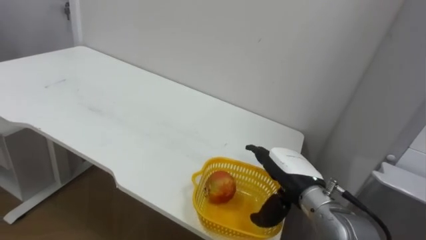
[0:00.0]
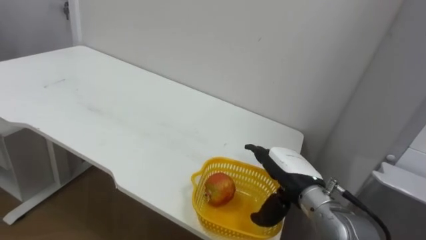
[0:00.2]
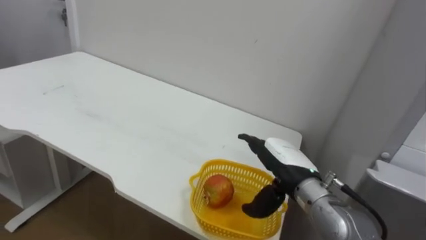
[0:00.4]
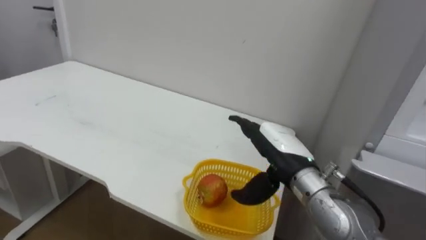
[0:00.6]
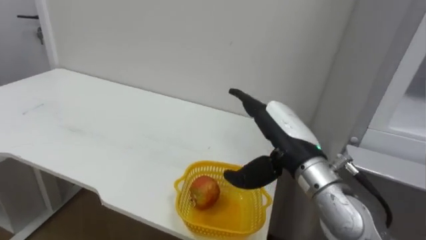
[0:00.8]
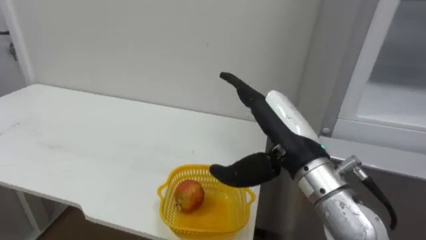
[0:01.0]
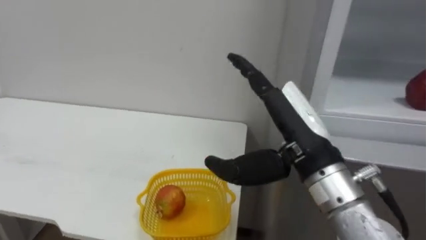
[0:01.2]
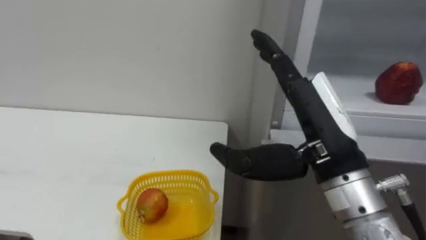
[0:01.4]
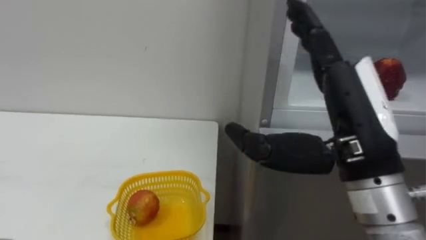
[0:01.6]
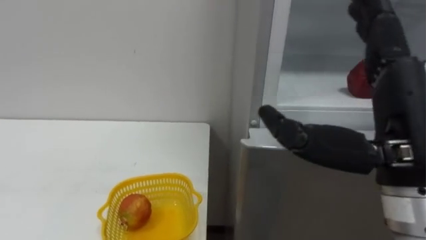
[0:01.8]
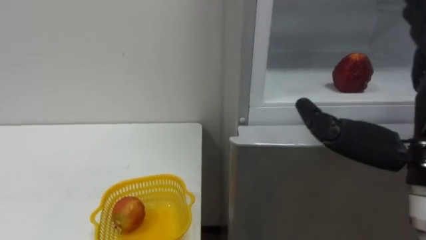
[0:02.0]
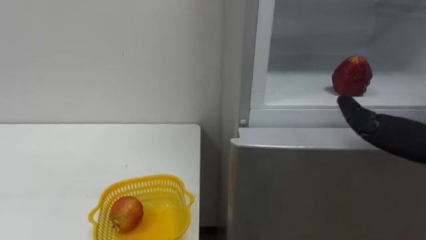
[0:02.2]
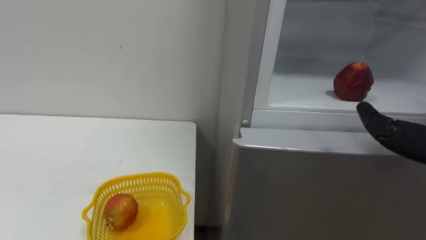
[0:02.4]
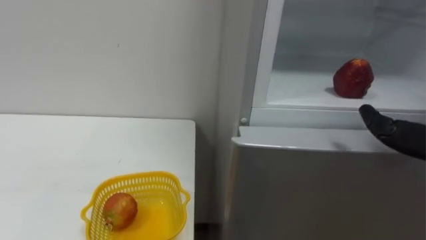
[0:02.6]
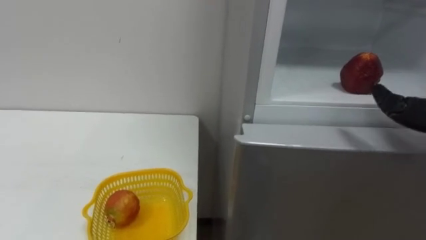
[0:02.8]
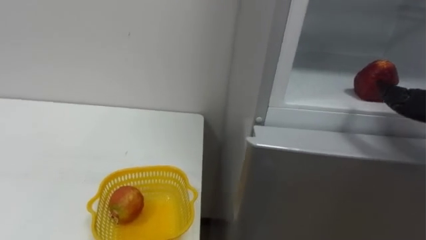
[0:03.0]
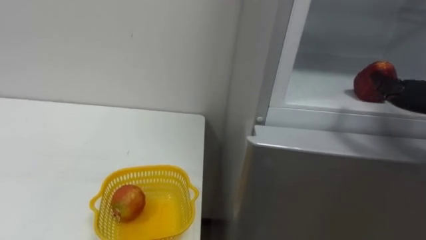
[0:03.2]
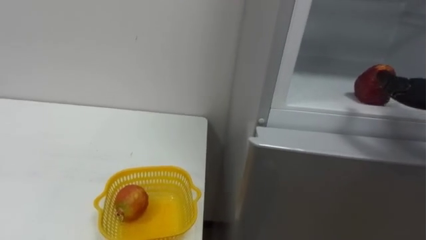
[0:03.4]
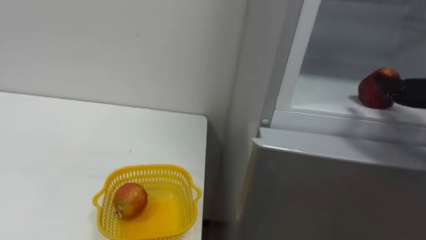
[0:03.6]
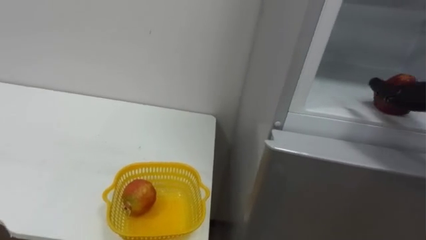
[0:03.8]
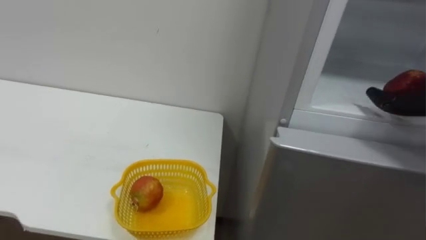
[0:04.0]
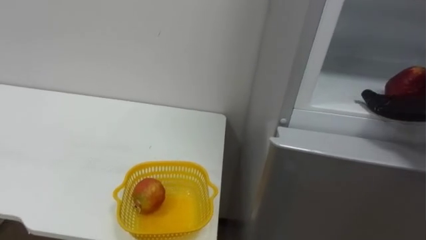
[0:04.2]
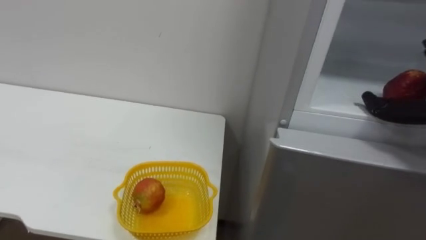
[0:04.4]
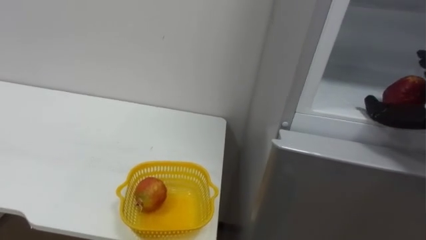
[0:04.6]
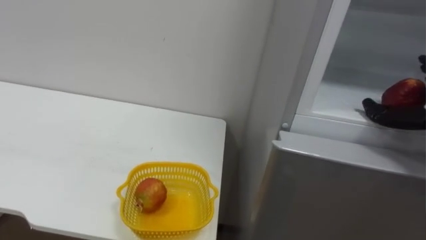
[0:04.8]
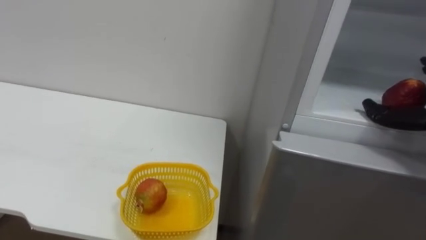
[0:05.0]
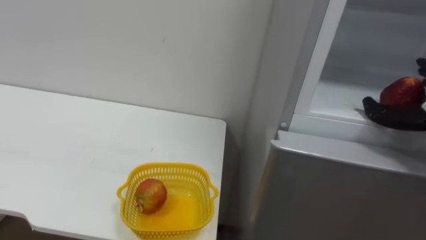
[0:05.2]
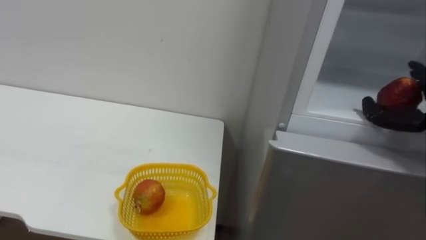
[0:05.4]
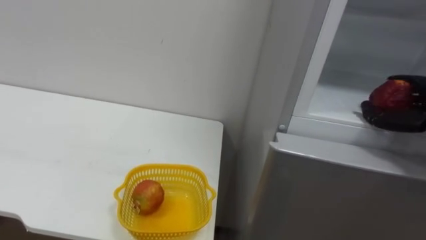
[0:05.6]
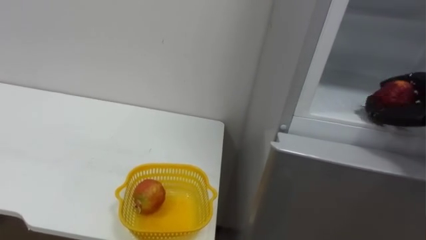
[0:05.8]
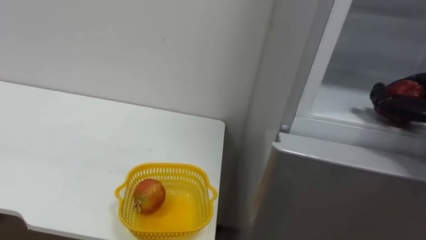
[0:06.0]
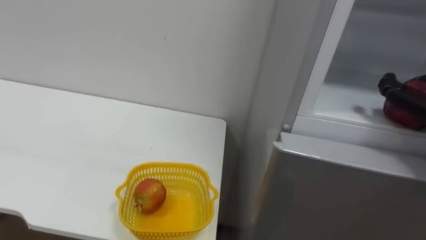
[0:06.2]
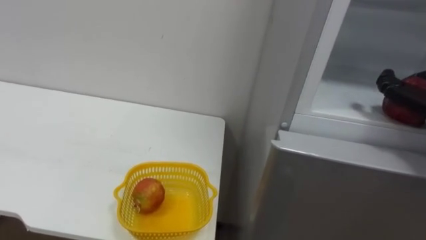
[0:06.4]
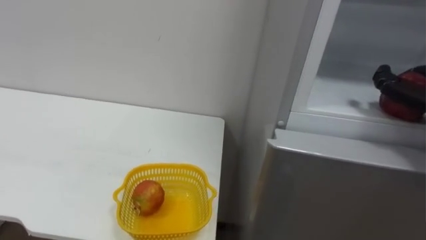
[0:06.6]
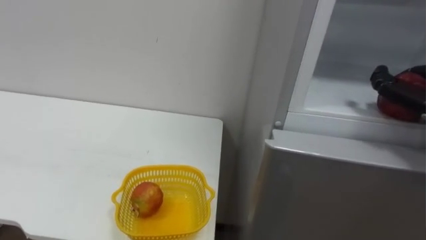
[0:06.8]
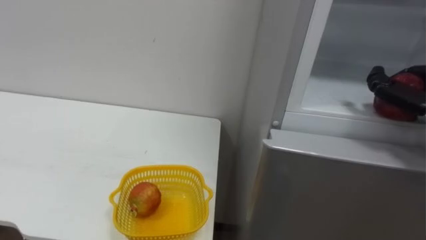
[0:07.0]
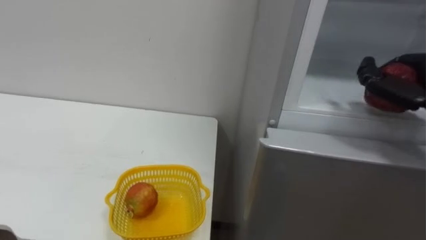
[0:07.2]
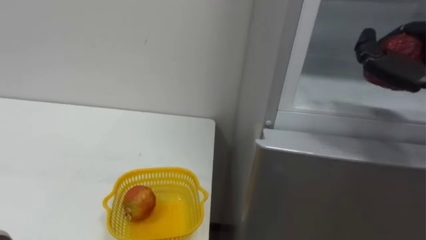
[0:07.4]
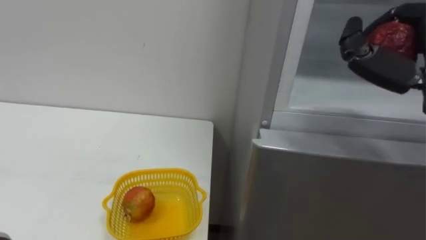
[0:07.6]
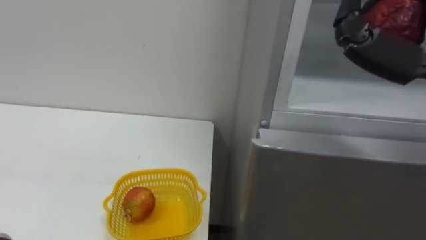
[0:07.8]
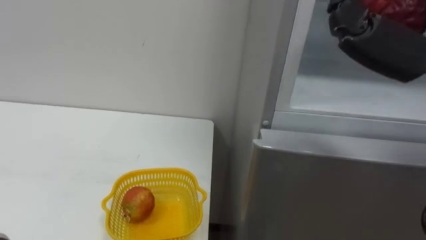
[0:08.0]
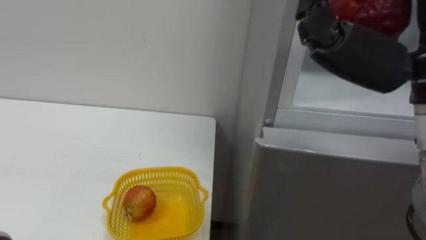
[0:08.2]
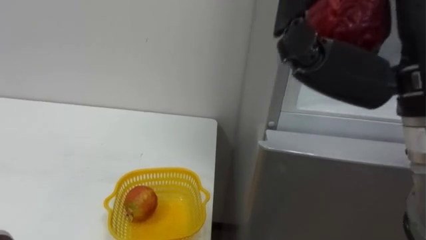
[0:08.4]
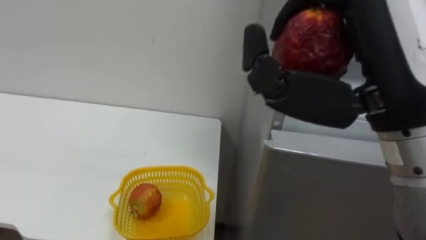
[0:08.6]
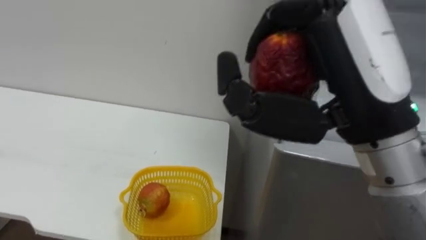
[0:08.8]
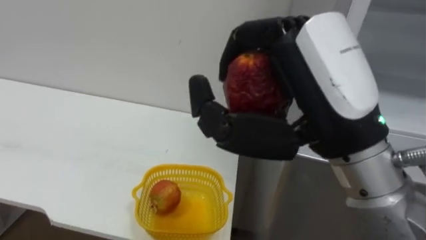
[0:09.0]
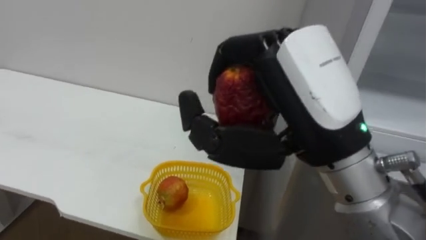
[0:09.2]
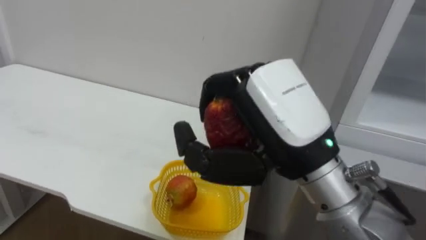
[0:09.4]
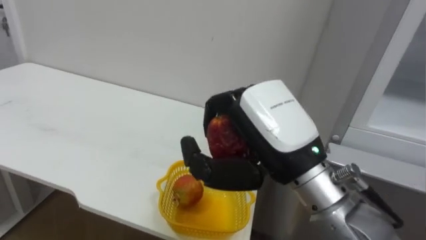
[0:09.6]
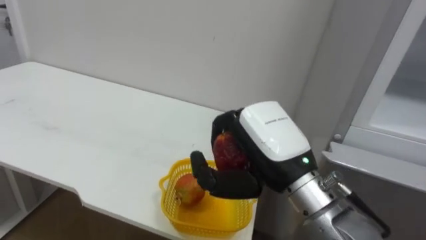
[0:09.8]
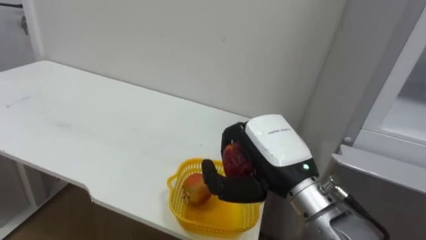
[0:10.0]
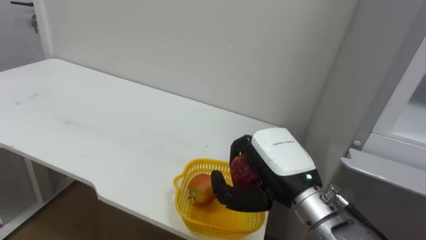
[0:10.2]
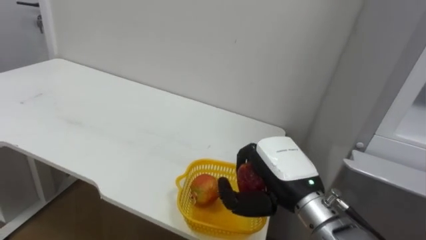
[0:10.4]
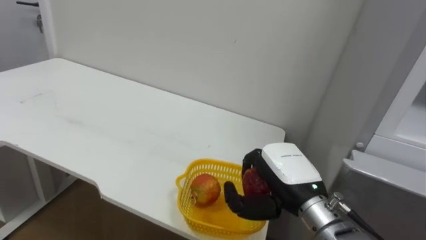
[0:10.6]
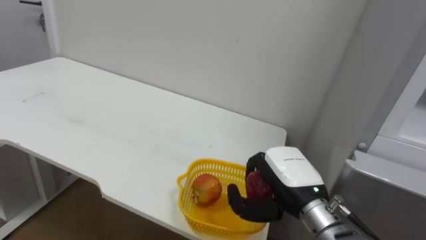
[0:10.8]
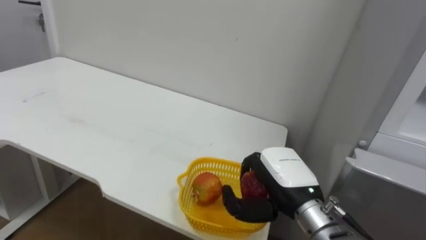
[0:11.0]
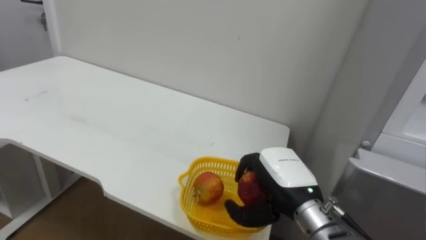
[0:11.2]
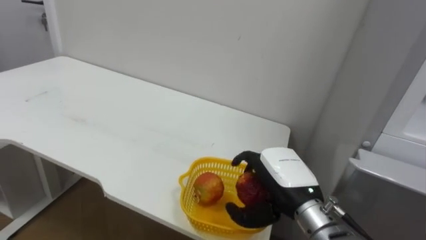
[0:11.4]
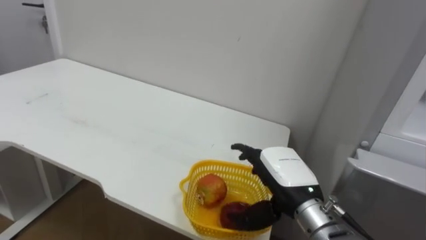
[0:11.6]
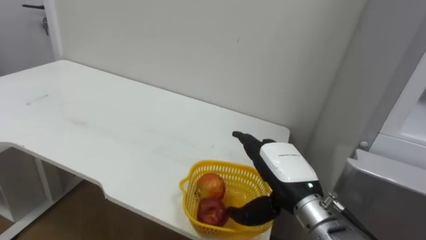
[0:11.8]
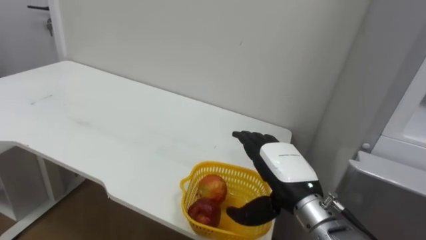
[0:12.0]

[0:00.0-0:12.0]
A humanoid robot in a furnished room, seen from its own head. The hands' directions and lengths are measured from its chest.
Task of the whole recording: Open the refrigerator door, take out the apple and the pomegranate, place them in the fruit basket on the left, and close the refrigerator door.
0:00.0 to 0:01.6: The right hand goes roughly 20 cm upward and backward.
0:09.0 to 0:10.4: The right hand heads downward and forward, covering about 20 cm.
0:10.4 to 0:12.0: The right hand opens its fingers.

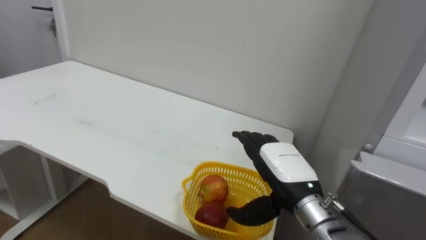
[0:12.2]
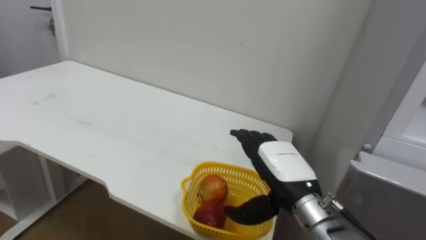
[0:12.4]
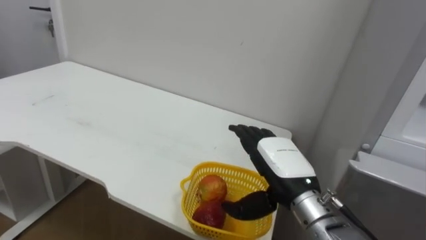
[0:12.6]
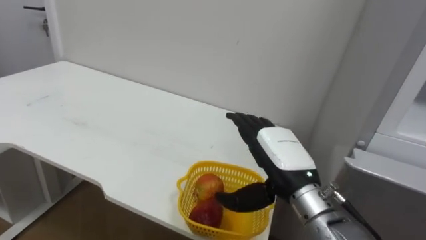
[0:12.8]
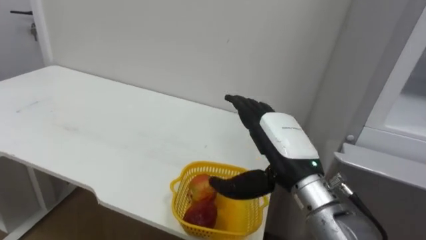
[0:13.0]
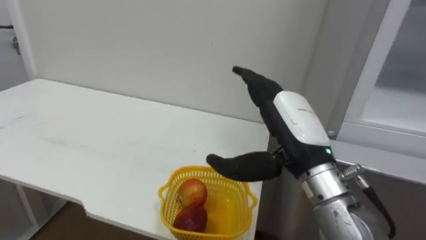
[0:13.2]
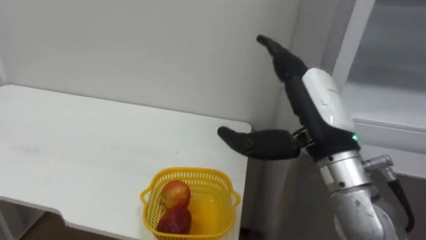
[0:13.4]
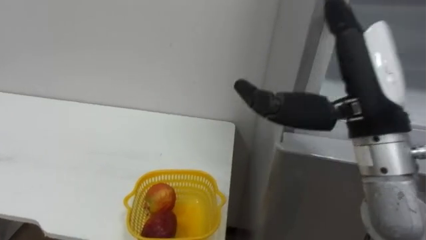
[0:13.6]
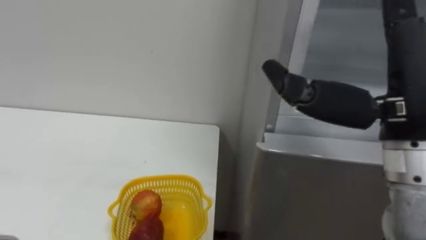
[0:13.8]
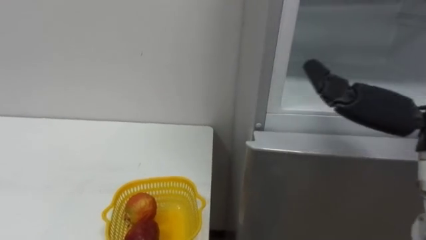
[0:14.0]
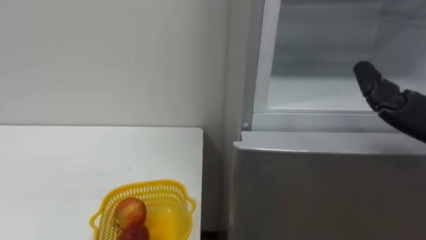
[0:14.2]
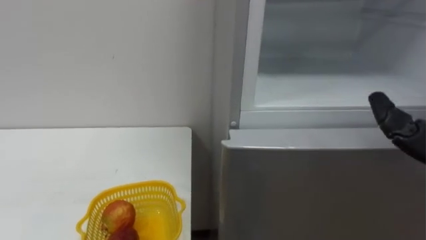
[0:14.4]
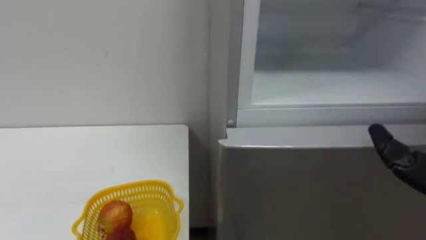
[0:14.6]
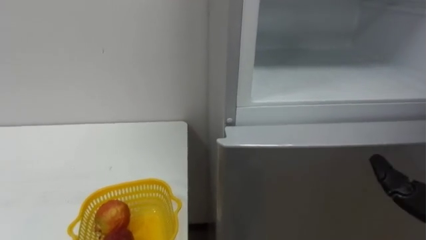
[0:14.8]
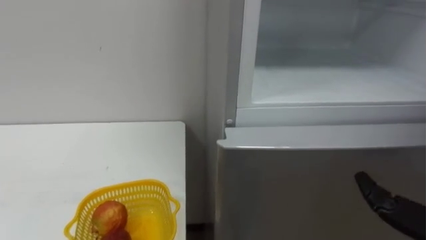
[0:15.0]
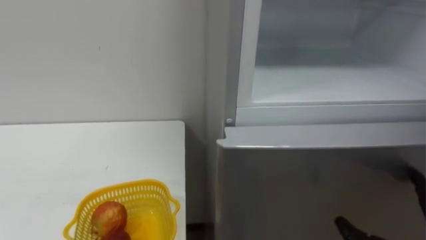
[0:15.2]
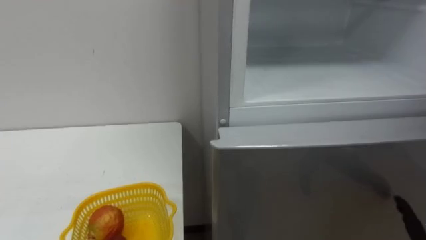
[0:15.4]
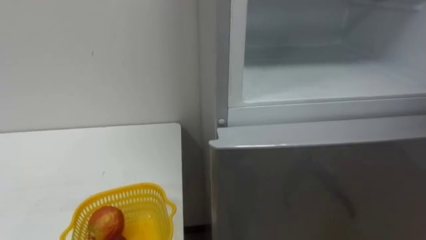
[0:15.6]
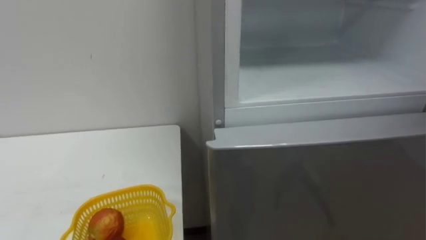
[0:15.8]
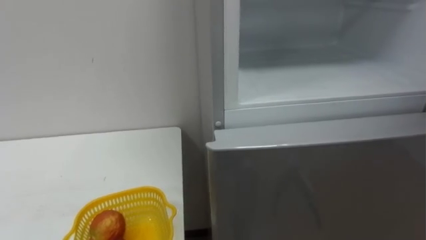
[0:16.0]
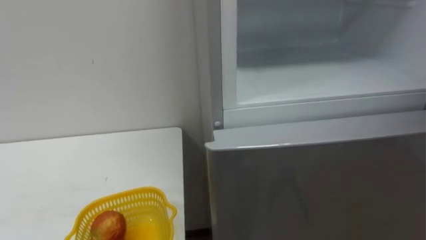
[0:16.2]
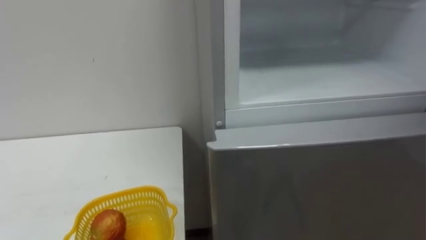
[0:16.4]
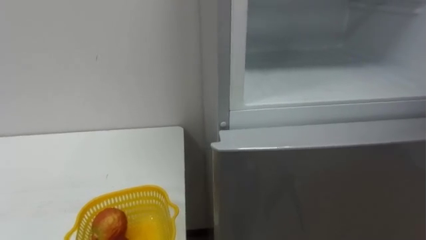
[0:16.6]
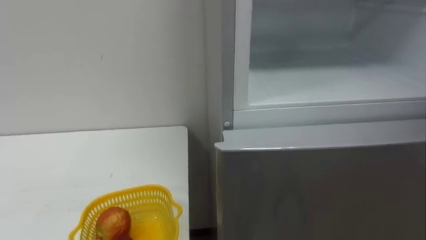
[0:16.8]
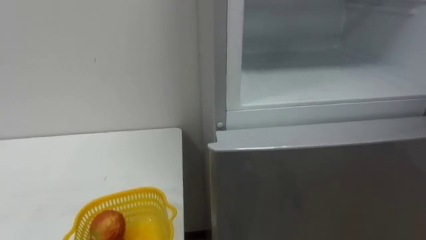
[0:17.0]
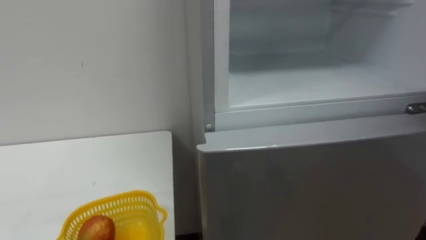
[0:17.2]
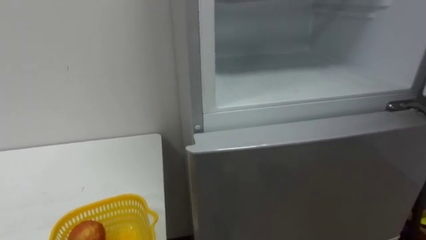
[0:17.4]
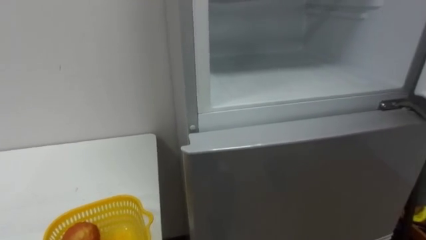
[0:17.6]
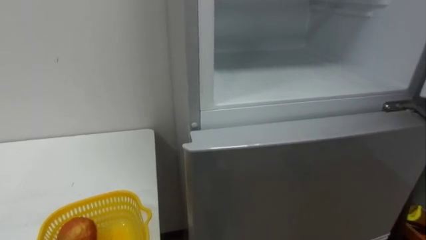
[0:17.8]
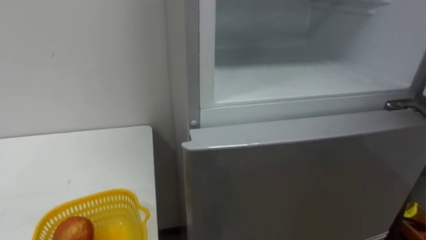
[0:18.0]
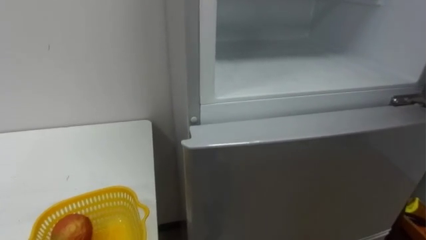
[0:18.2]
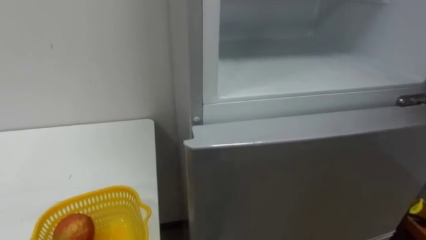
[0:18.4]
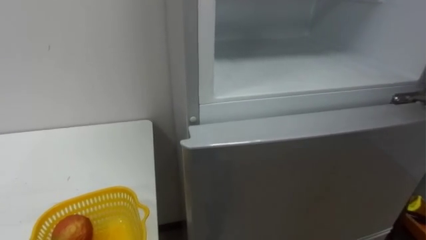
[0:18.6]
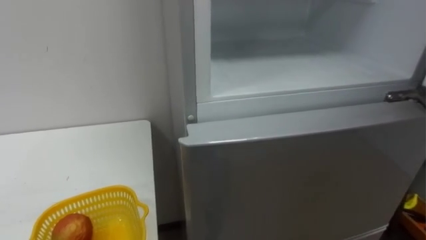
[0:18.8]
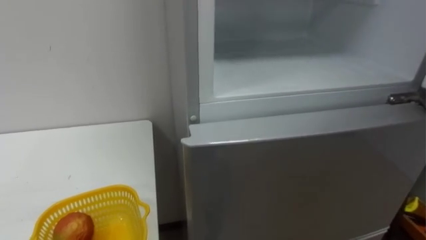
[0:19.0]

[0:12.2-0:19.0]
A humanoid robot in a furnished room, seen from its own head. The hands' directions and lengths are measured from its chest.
Task of the whole recording: Open the refrigerator door, take out the apple and the pomegranate, place them in the fruit basket on the left, and close the refrigerator door.
0:12.2 to 0:13.6: The right hand travels upward by roughly 20 cm.
